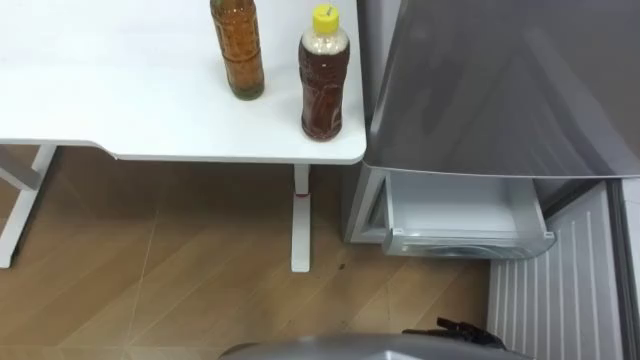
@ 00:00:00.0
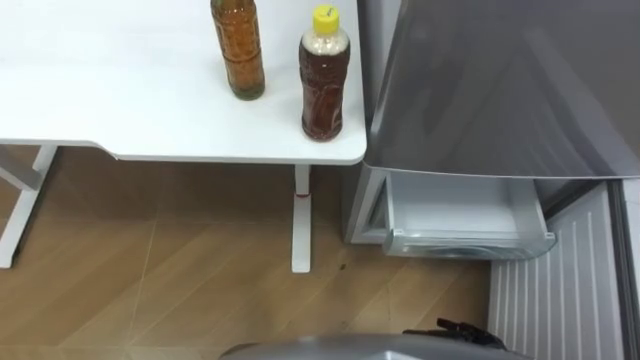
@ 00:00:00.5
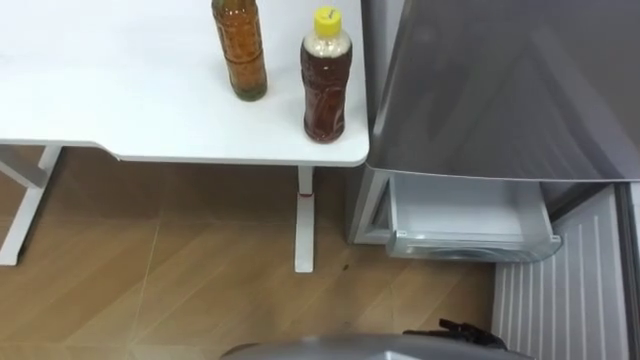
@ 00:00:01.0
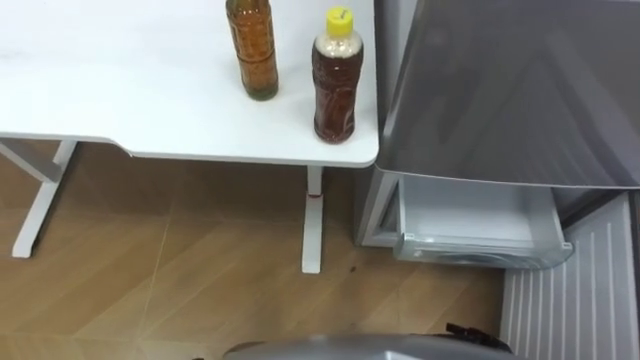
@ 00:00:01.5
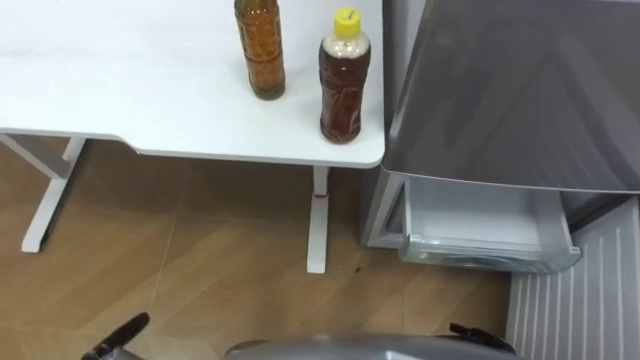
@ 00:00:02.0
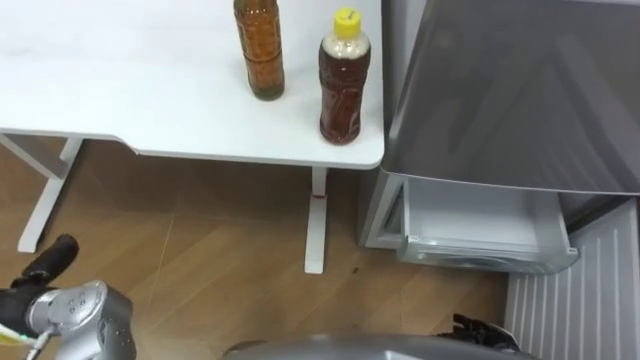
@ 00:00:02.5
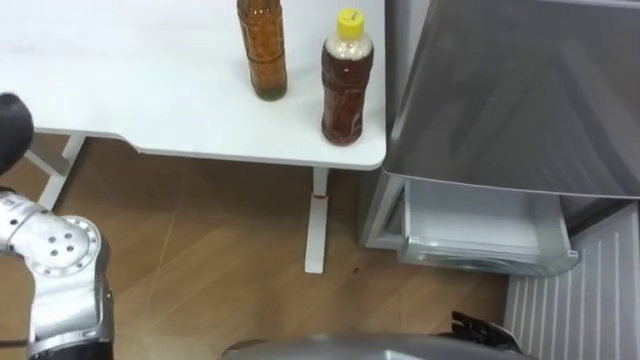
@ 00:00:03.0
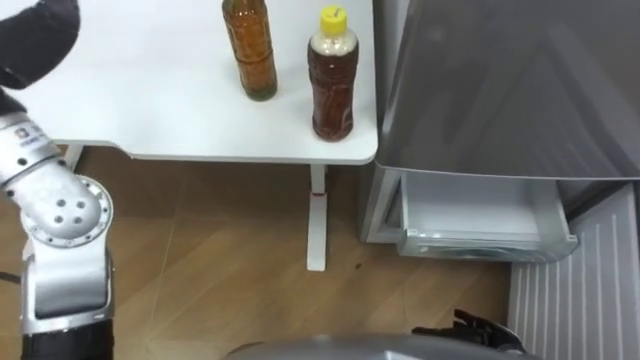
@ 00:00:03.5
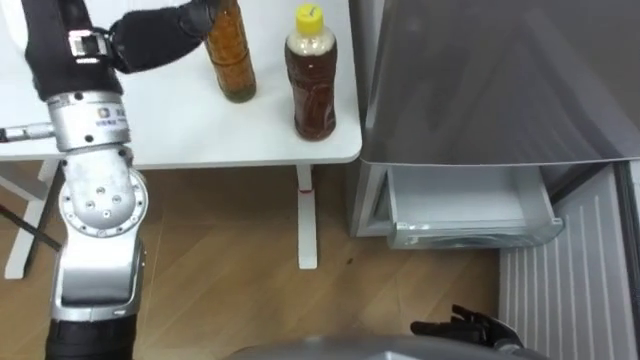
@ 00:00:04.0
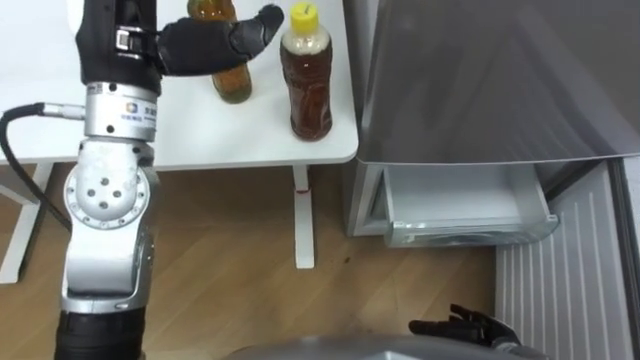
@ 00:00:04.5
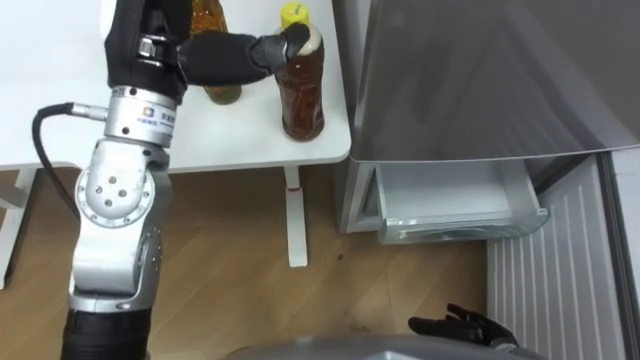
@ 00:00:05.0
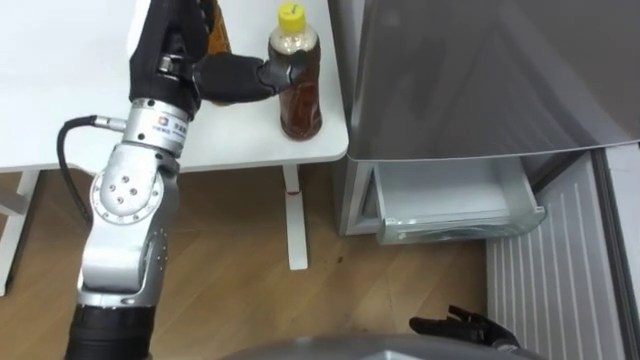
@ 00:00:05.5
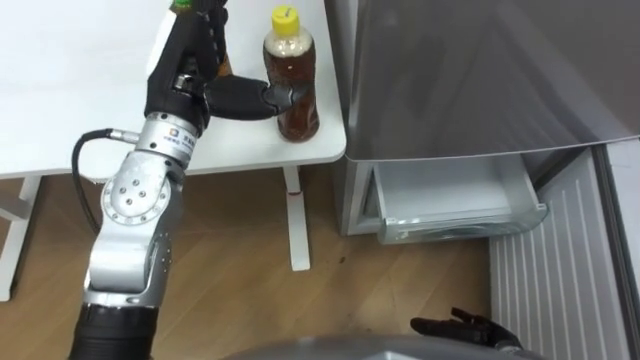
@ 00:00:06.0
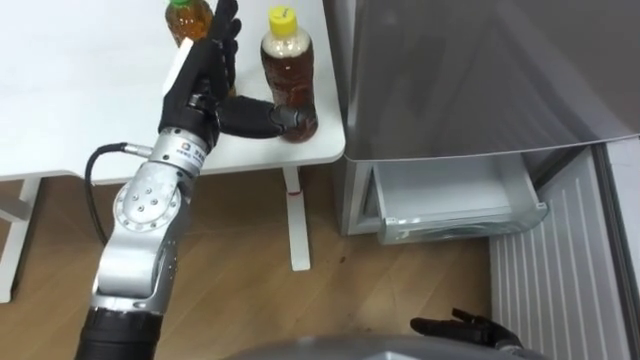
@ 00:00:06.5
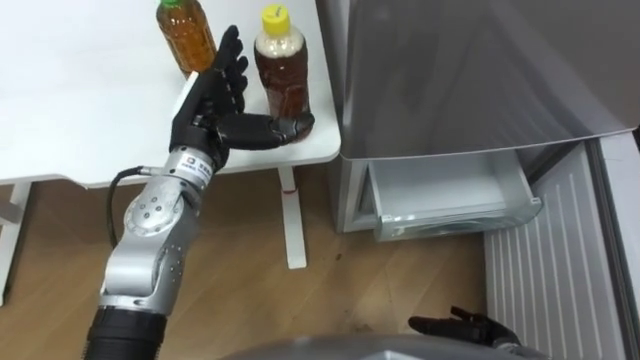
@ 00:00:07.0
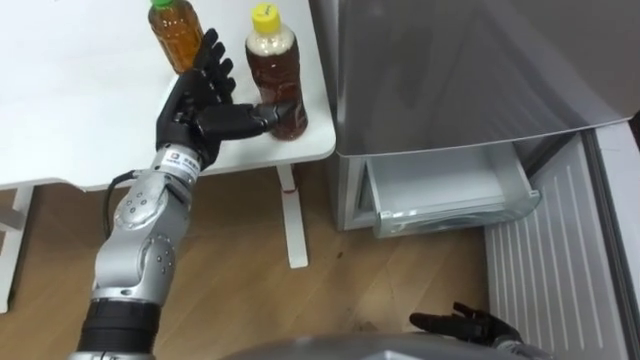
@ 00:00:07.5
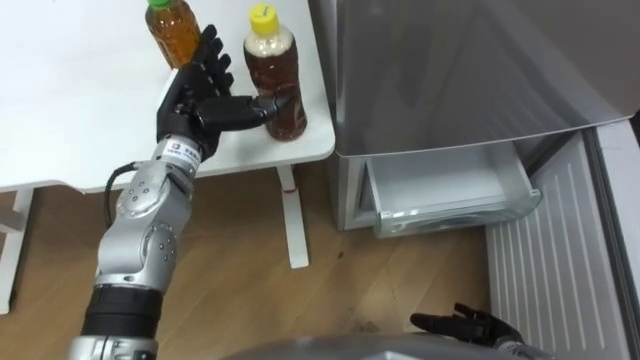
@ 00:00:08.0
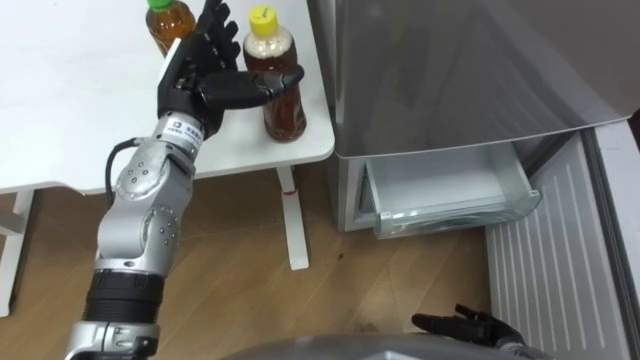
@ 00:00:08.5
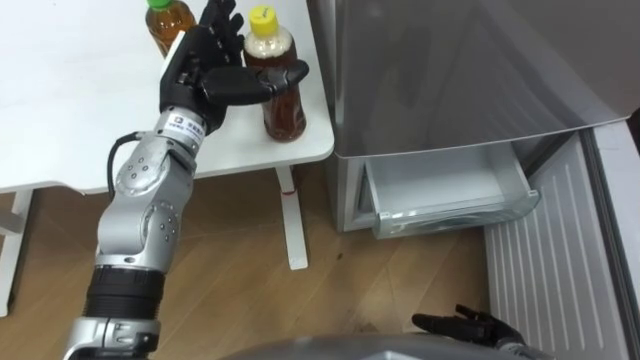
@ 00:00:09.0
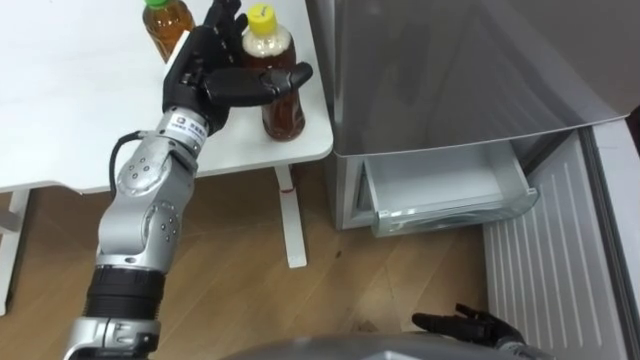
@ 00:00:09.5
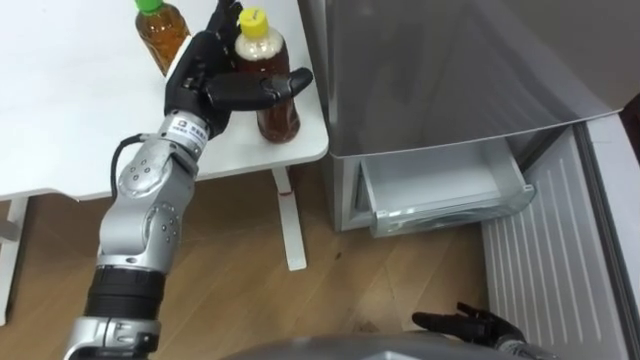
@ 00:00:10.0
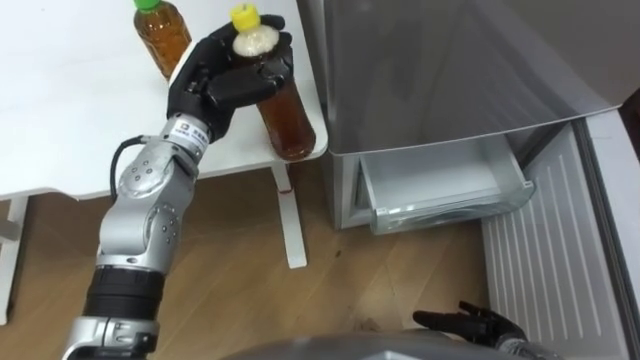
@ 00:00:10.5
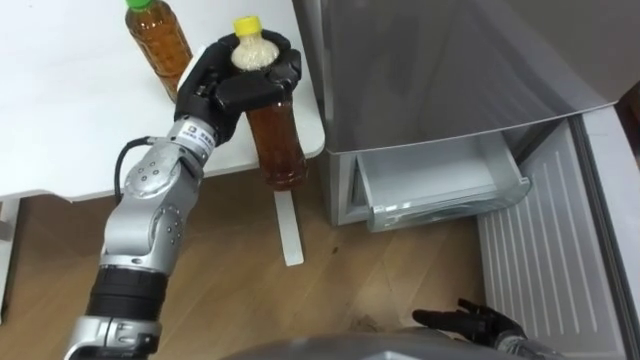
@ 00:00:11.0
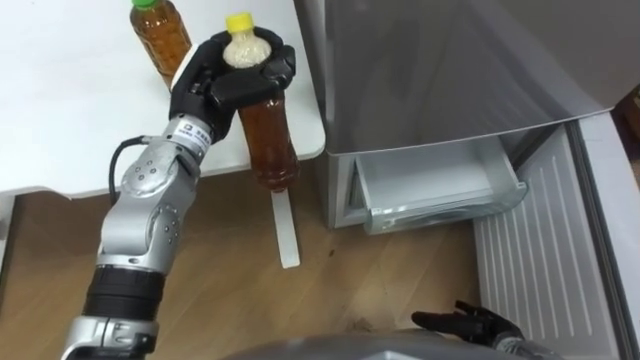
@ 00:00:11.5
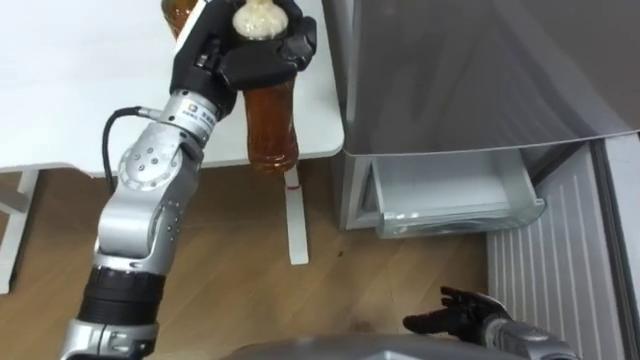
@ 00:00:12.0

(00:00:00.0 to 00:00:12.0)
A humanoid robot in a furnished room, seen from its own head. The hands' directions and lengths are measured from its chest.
Task of the whole recording: Place the drink on the table on the bottom shelf of the refrigerator, then close the drawer and the refrigerator door.
00:00:04.0 - 00:00:06.0: The left hand moves downward and to the right, roughly 10 cm.
00:00:06.0 - 00:00:08.0: The left hand is displaced downward by roughly 10 cm.
00:00:08.0 - 00:00:10.0: The hands stay close to where they were, moving slightly.
00:00:10.0 - 00:00:12.0: The left hand closes.

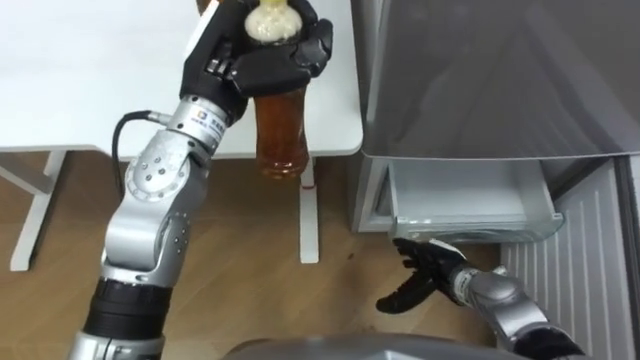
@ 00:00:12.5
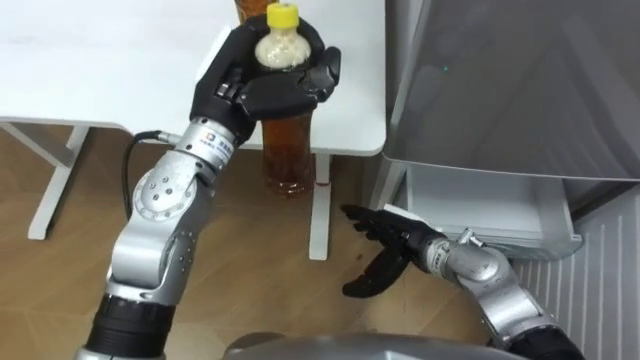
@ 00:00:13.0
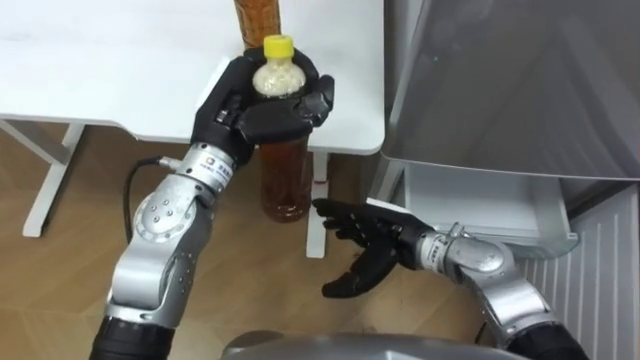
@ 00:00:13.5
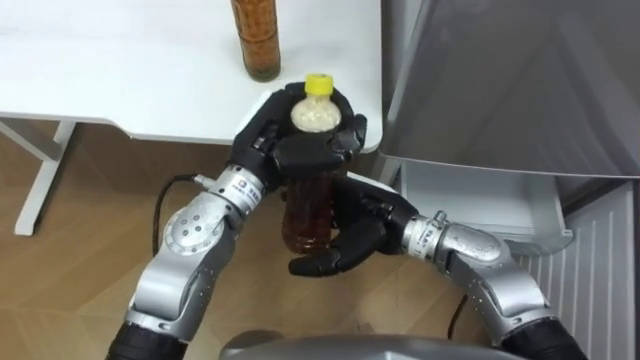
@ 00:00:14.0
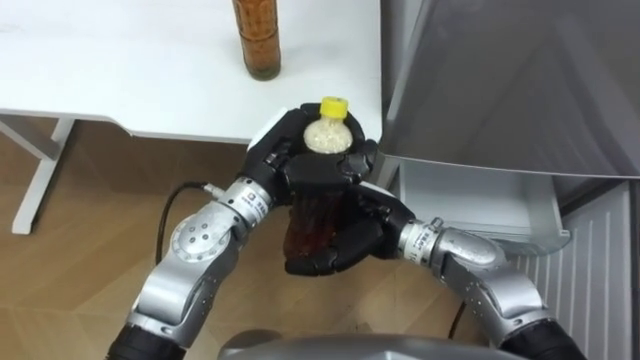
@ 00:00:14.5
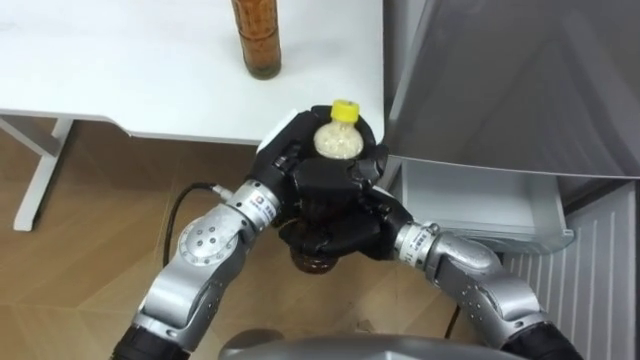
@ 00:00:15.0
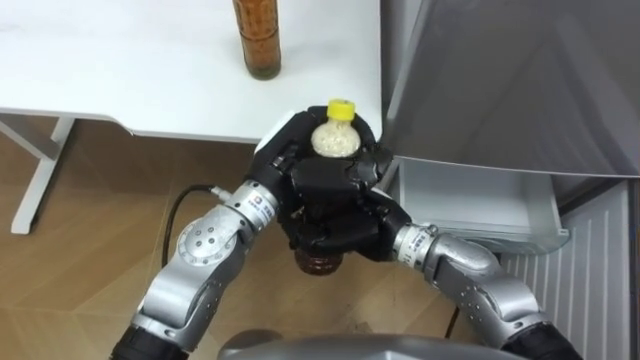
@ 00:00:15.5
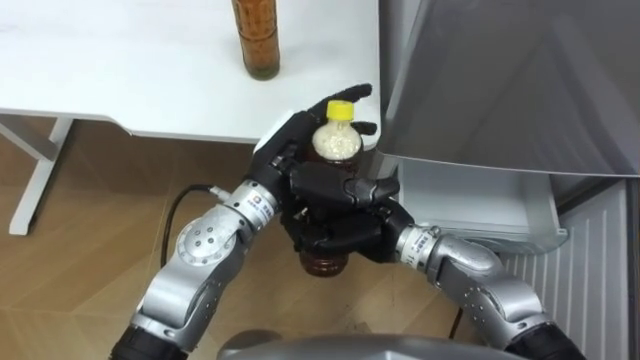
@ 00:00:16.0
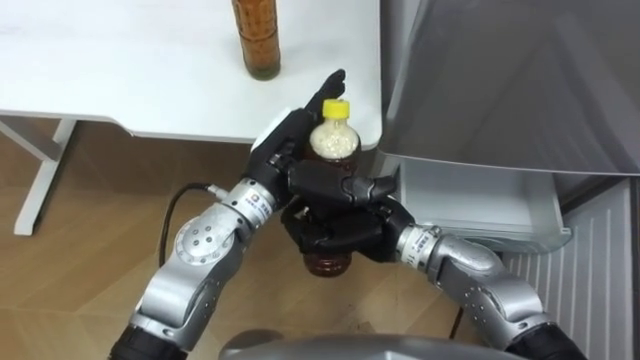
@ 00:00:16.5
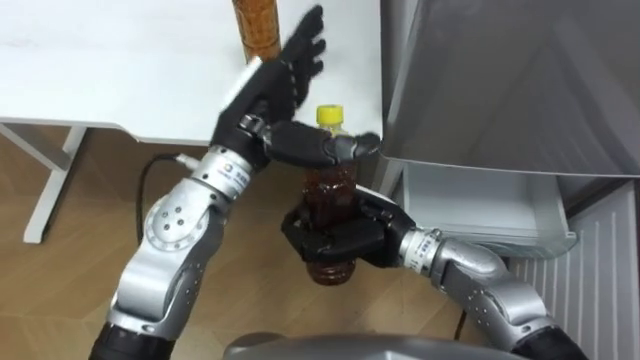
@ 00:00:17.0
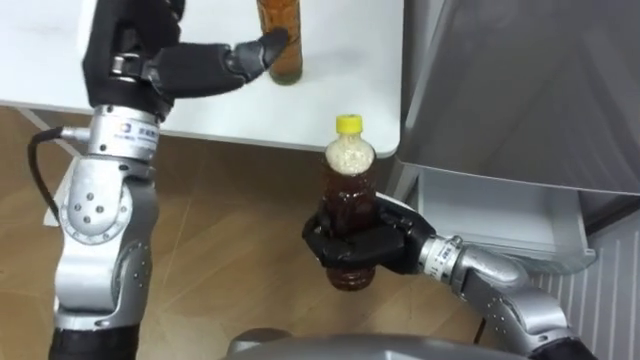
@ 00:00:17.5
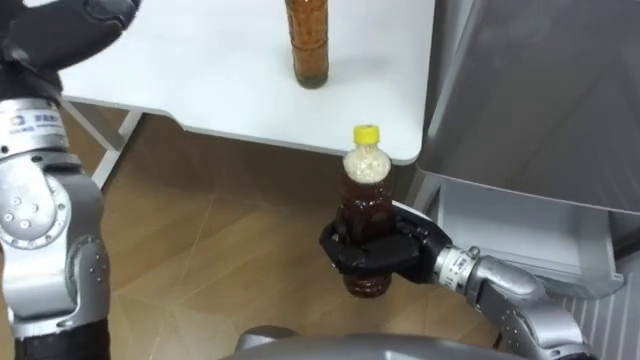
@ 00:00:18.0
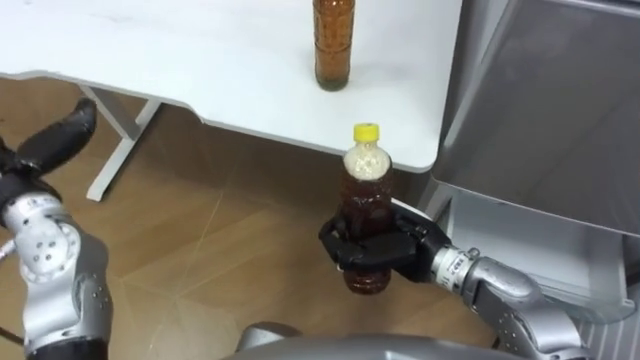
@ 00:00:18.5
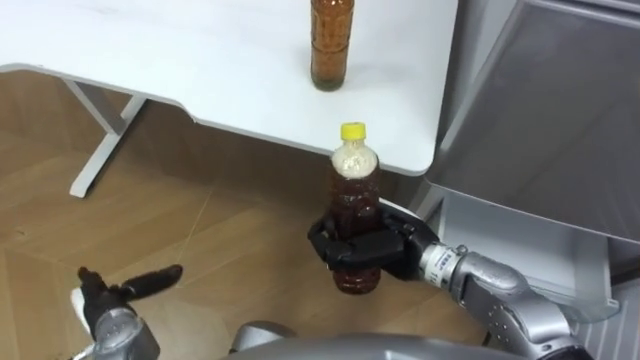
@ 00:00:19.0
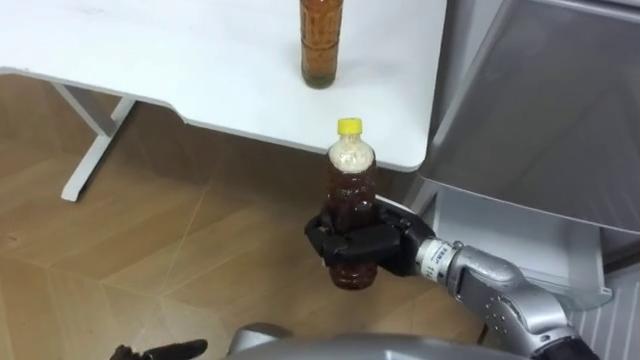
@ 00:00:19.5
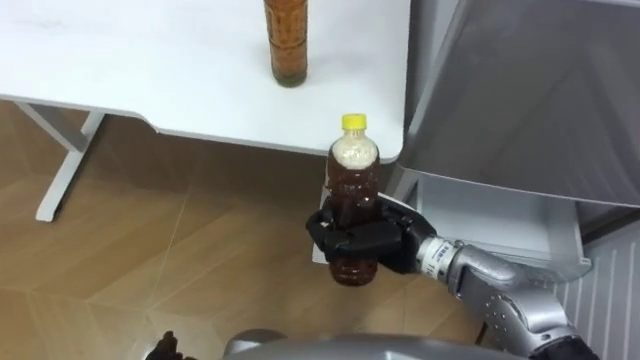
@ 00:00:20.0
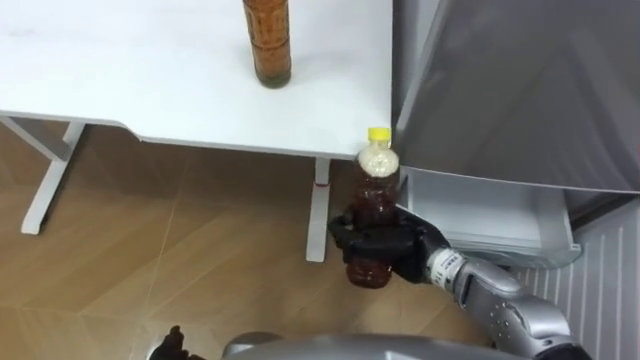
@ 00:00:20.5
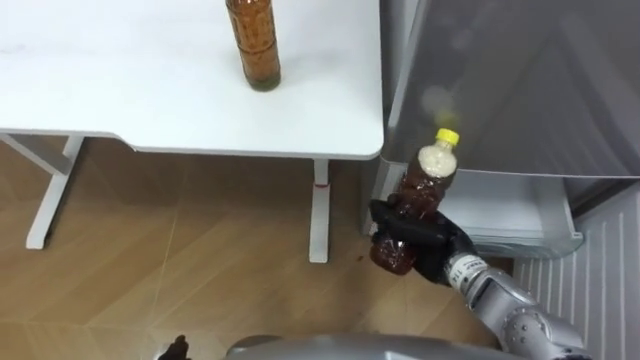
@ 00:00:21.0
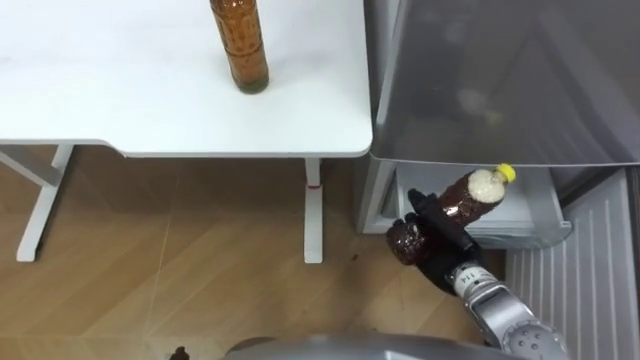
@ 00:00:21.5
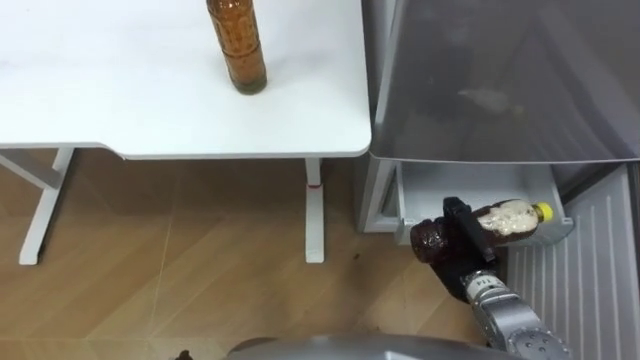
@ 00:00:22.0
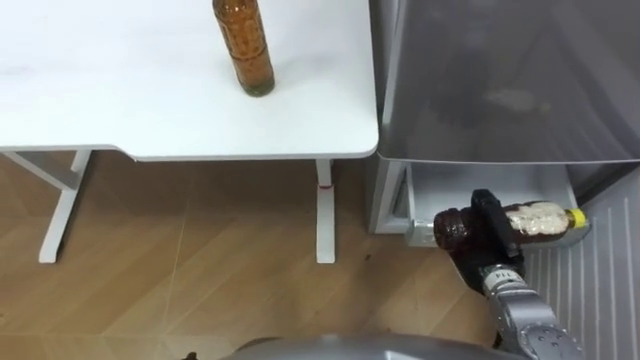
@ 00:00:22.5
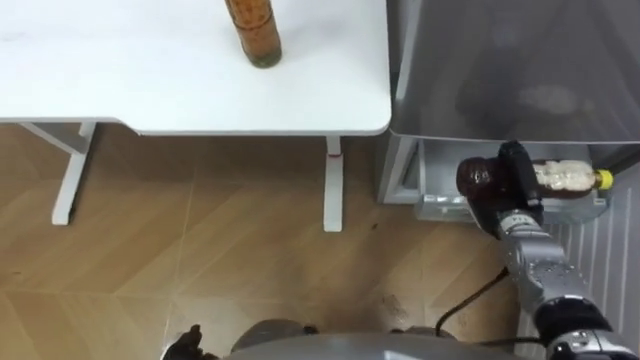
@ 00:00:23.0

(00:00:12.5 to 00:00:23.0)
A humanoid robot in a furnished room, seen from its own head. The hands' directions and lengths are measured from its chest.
Task of the whole recording: Place the drink on the table on the bottom shelf of the refrigerator, then close the drawer and the refrigerator door.
00:00:12.5 - 00:00:14.5: The right hand is displaced upward and to the left by roughly 20 cm, while the left hand heads downward, backward and to the right, covering about 10 cm.
00:00:14.5 - 00:00:16.5: The left hand opens up. The right hand closes up.
00:00:19.0 - 00:00:21.0: The right hand goes approximately 10 cm to the right and downward.
00:00:21.0 - 00:00:23.0: The right hand is displaced to the right and forward by approximately 10 cm.
